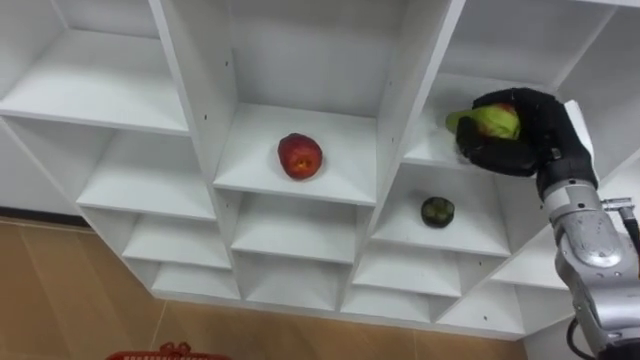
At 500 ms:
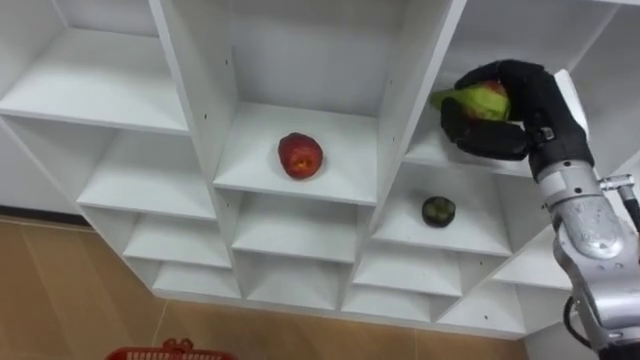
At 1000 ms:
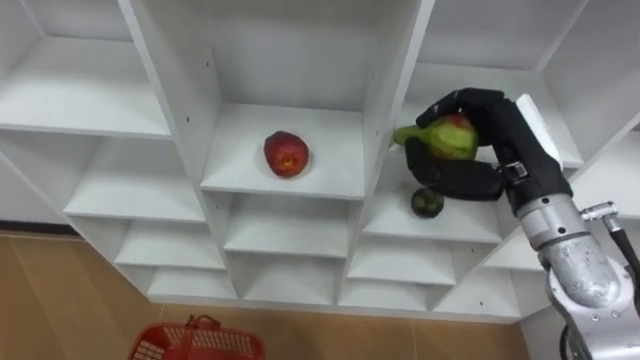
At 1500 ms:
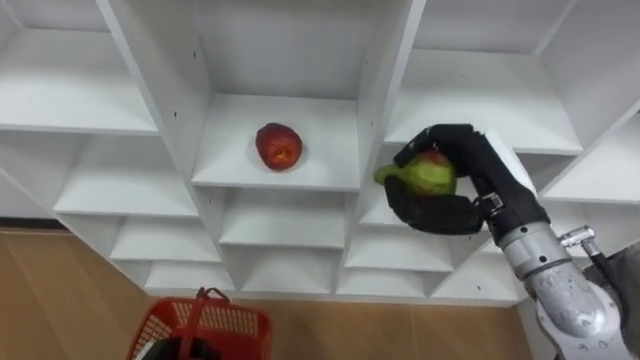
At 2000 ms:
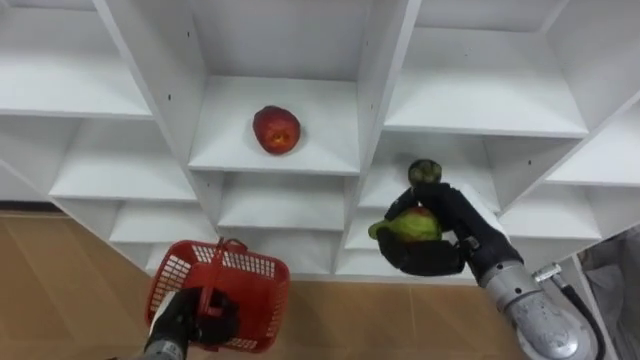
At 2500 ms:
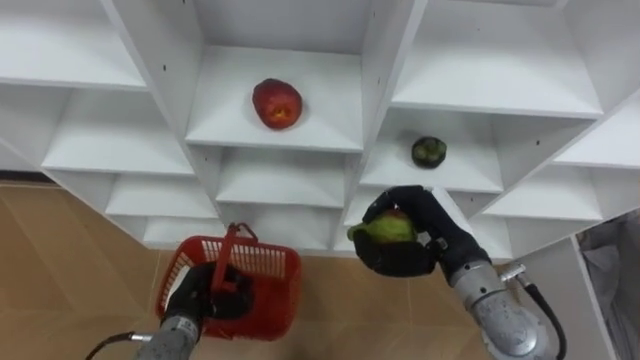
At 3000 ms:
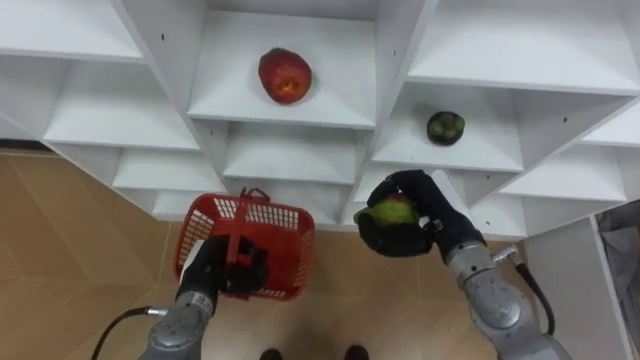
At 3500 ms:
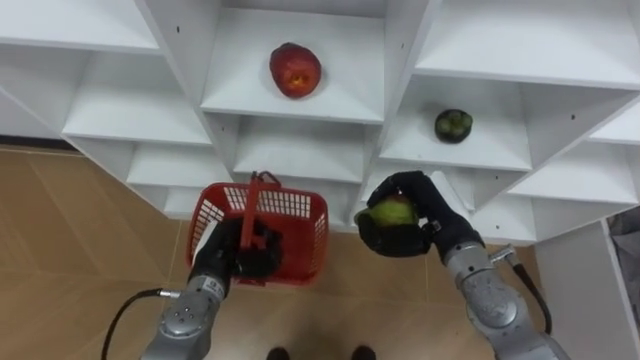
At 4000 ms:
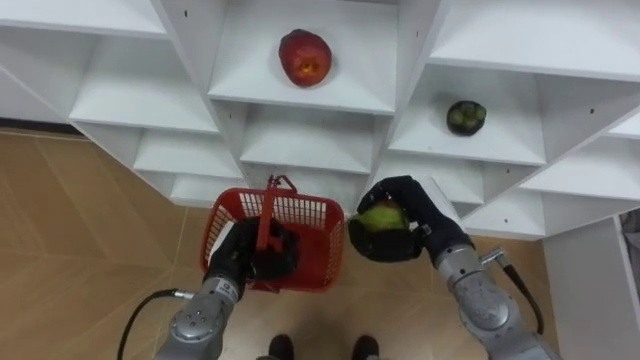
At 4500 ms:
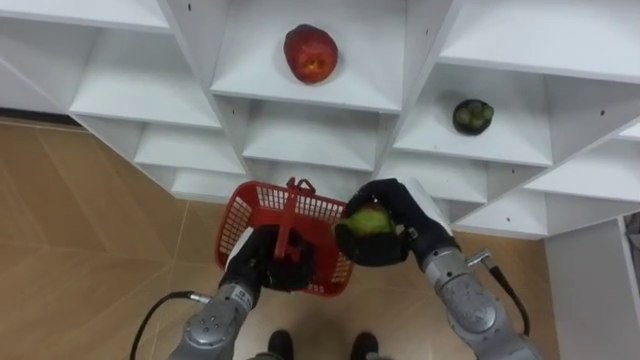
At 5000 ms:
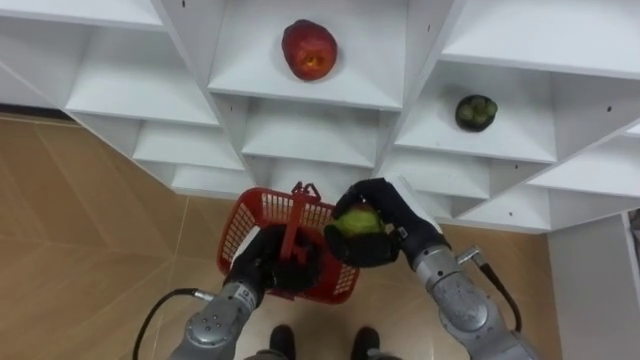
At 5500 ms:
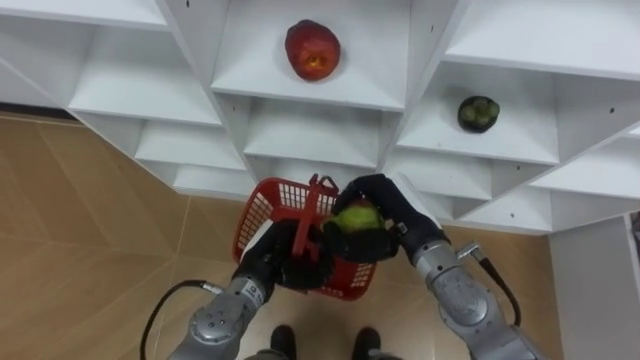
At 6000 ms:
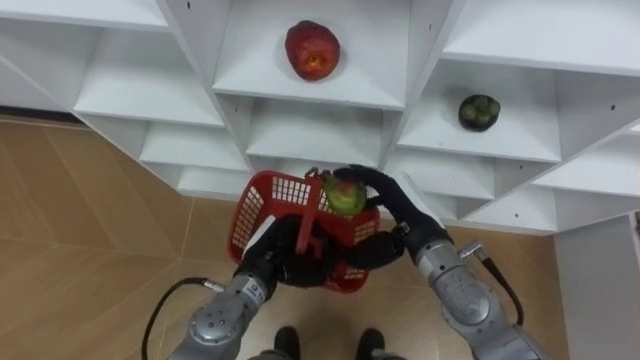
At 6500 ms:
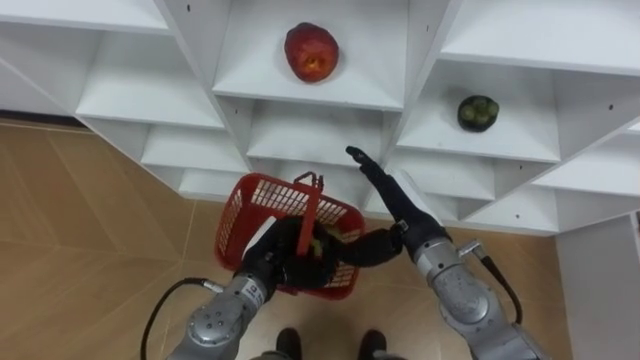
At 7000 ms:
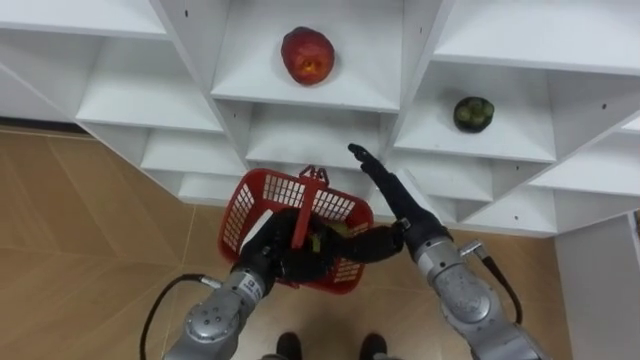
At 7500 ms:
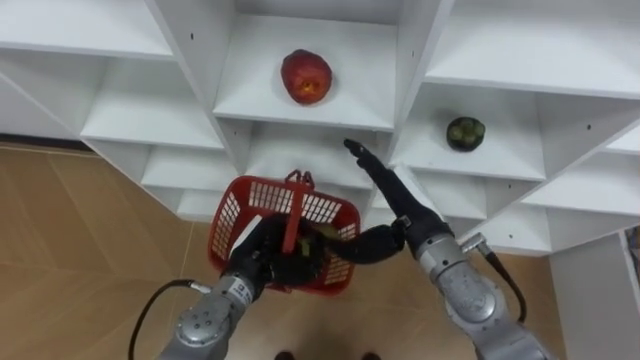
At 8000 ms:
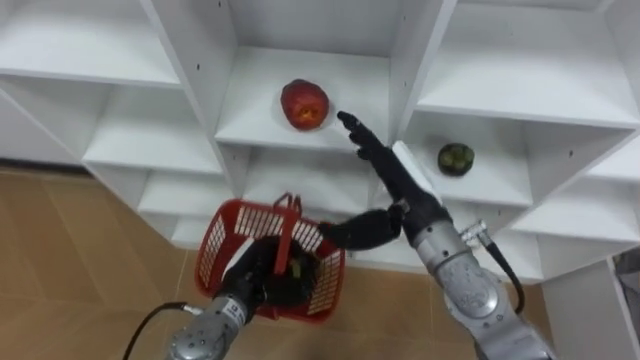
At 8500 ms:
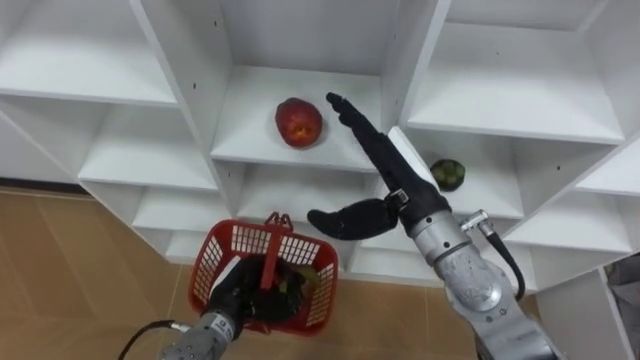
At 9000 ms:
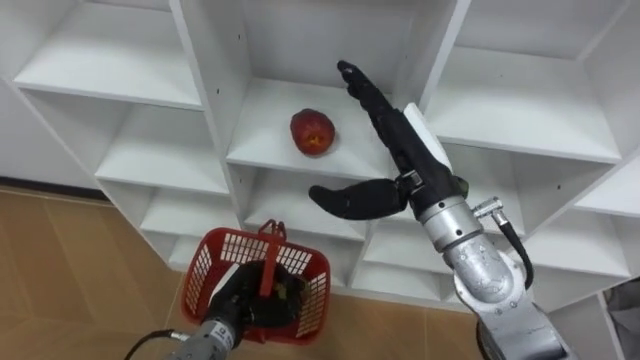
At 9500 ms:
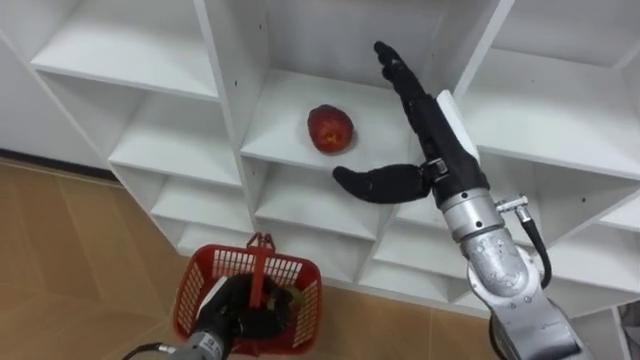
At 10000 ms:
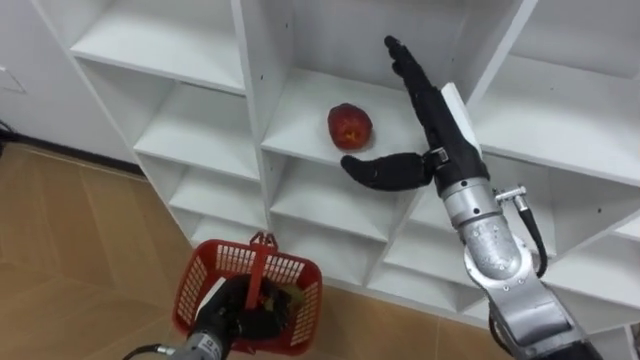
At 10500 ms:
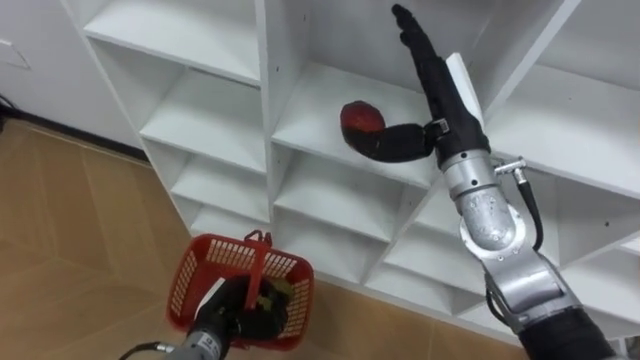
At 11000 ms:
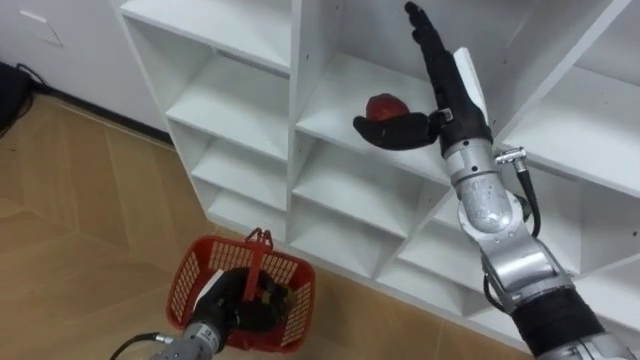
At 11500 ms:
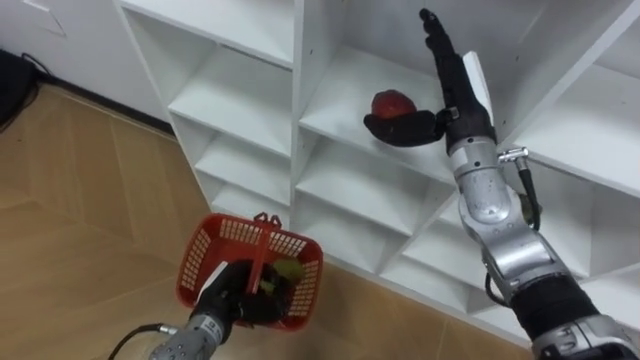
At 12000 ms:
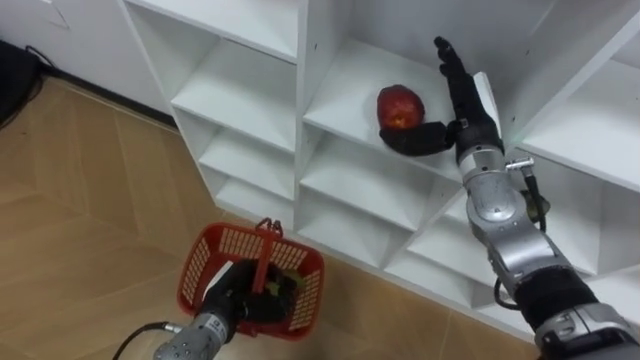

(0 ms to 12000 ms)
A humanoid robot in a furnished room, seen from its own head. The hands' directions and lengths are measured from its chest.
Task of the whole recording: Hold the basket and collect the fruits from 3 different cells of the closet into it.
0 ms - 2000 ms: The right hand goes roughly 15 cm to the left, backward and downward.
2000 ms - 4000 ms: The left hand shifts about 15 cm to the right, forward and upward. Meanwhile the right hand shifts by about 5 cm.
4000 ms - 6000 ms: The right hand opens. The left hand heads to the right, covering roughly 5 cm.
8000 ms - 10000 ms: The left hand ends up roughly 10 cm from where it was. Meanwhile the right hand moves upward, approximately 5 cm.
10000 ms - 12000 ms: The right hand is displaced forward by about 5 cm.

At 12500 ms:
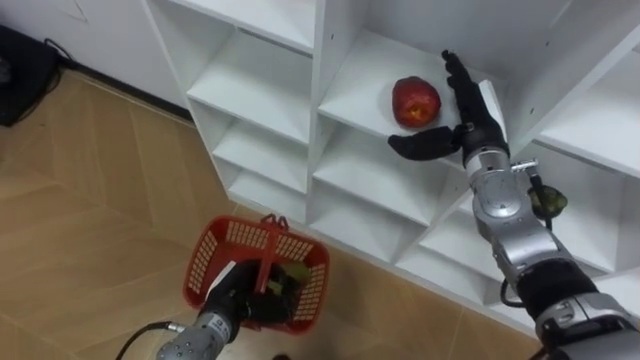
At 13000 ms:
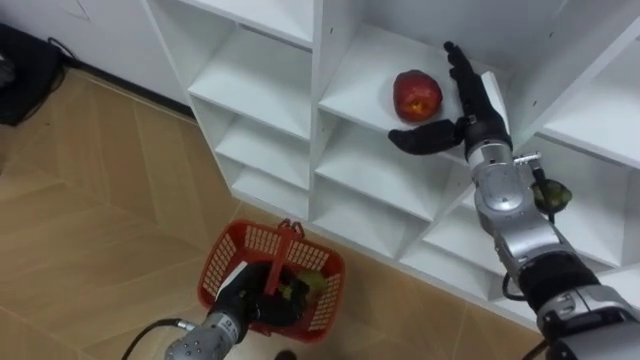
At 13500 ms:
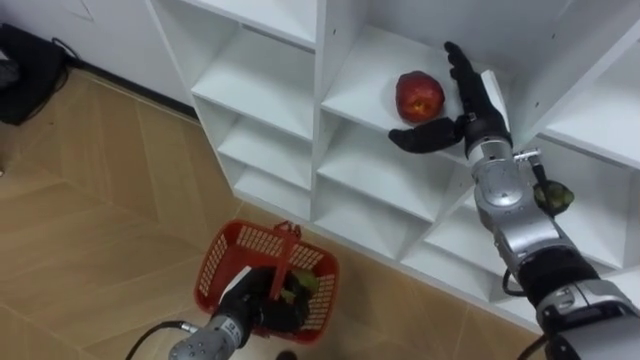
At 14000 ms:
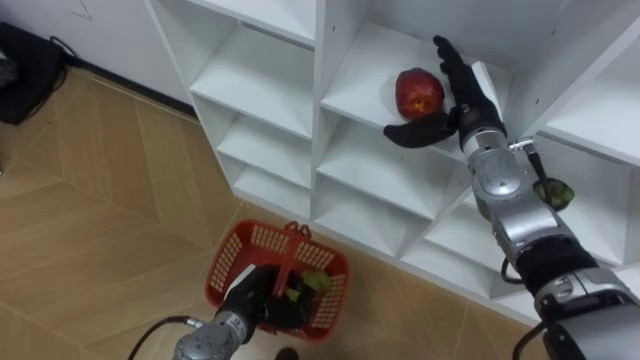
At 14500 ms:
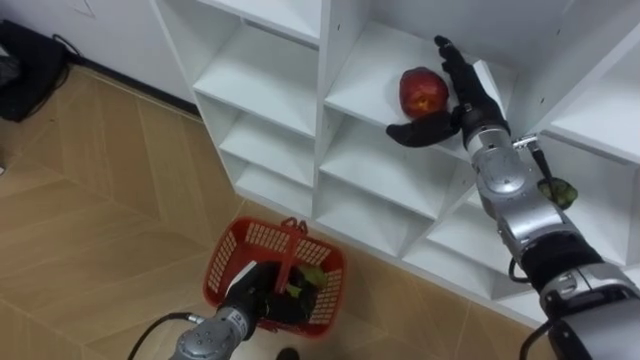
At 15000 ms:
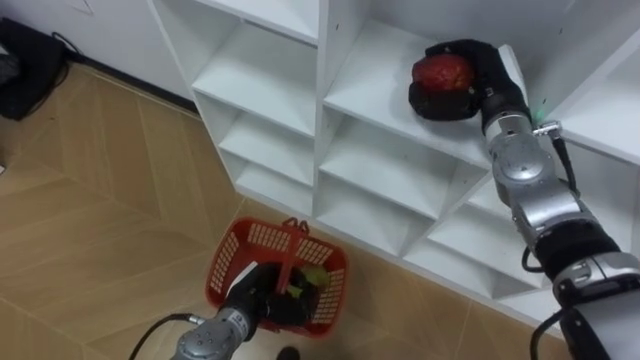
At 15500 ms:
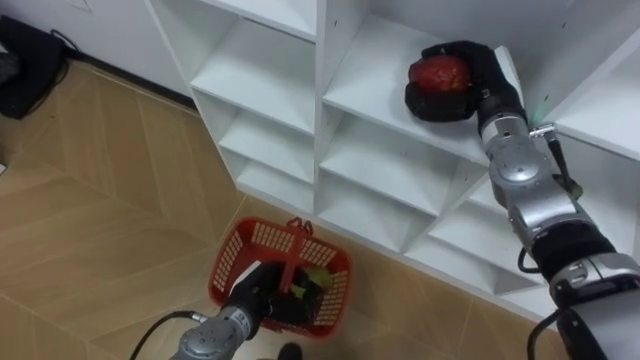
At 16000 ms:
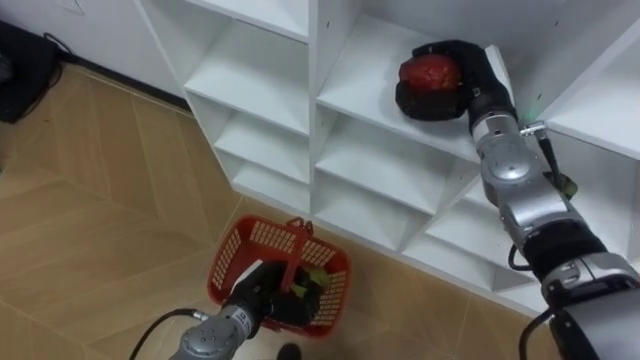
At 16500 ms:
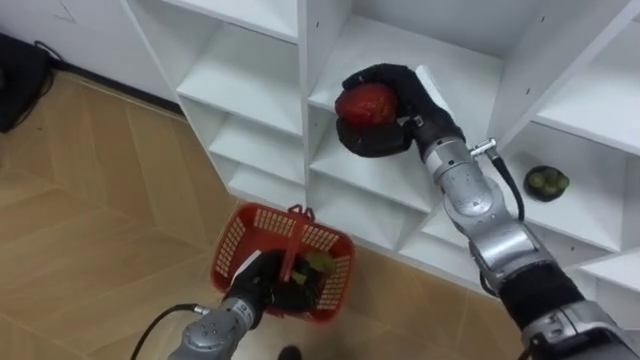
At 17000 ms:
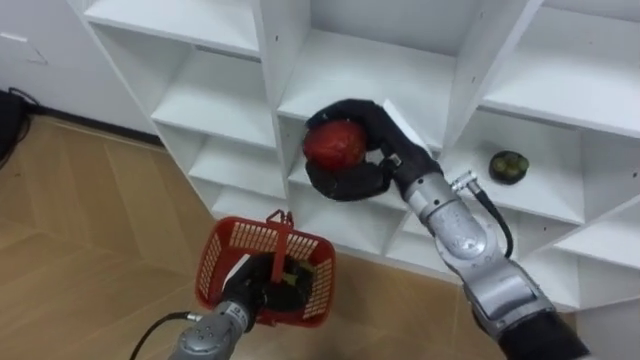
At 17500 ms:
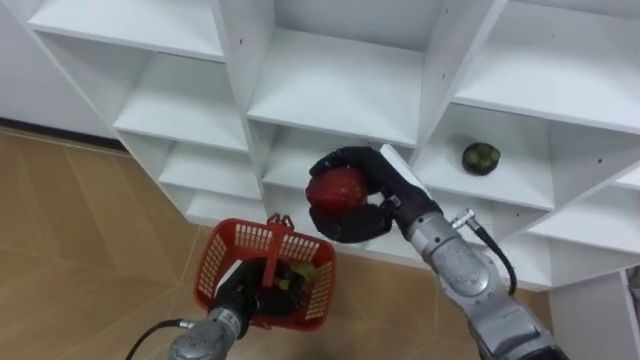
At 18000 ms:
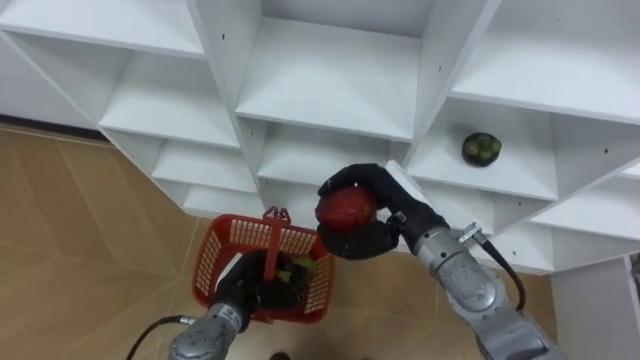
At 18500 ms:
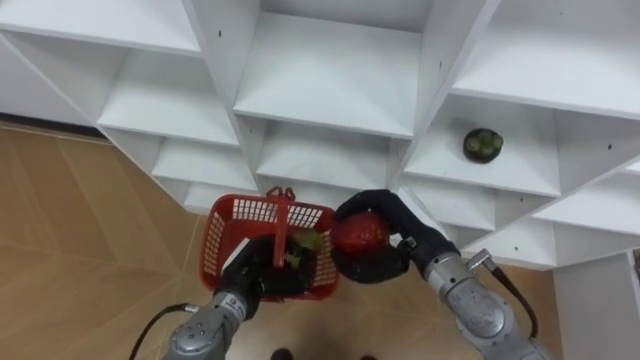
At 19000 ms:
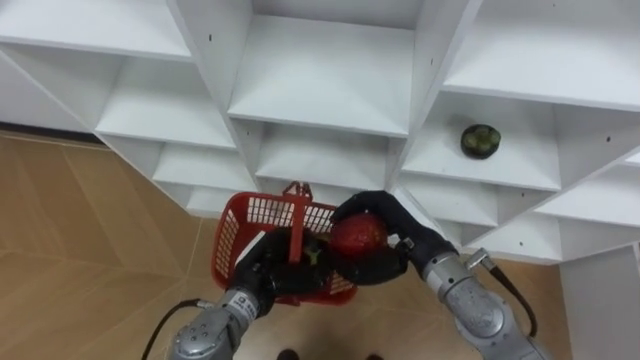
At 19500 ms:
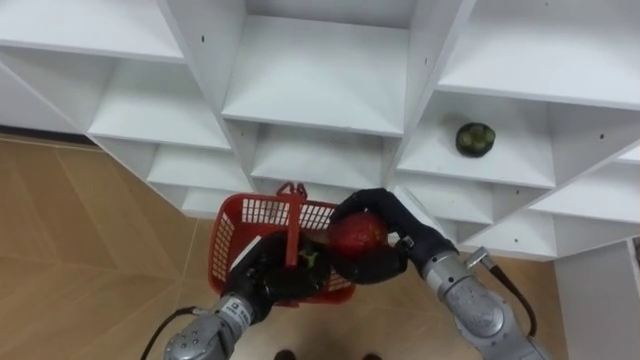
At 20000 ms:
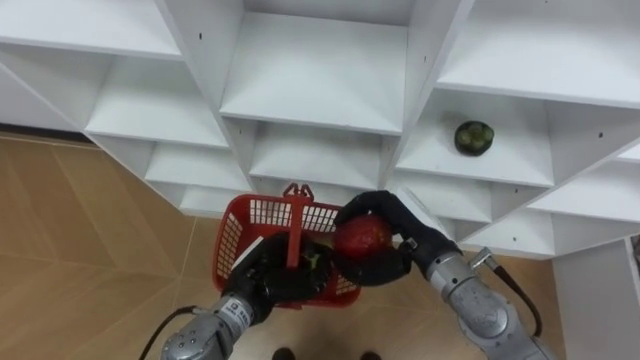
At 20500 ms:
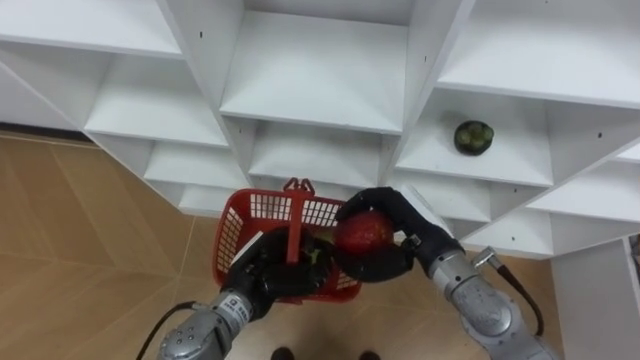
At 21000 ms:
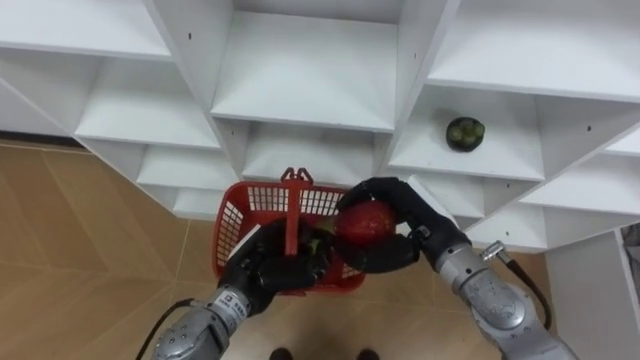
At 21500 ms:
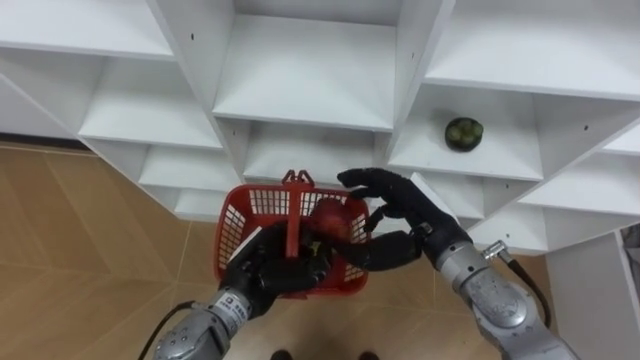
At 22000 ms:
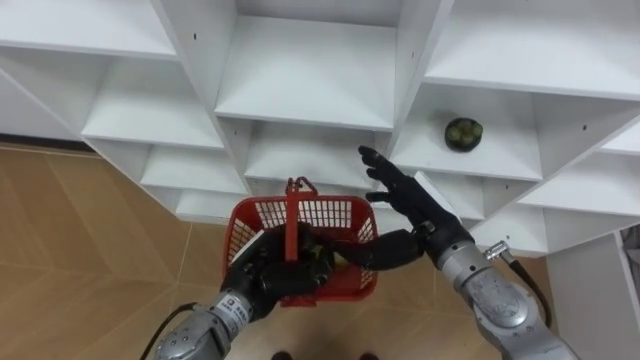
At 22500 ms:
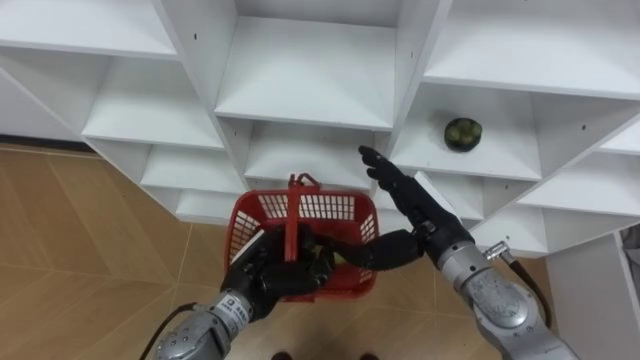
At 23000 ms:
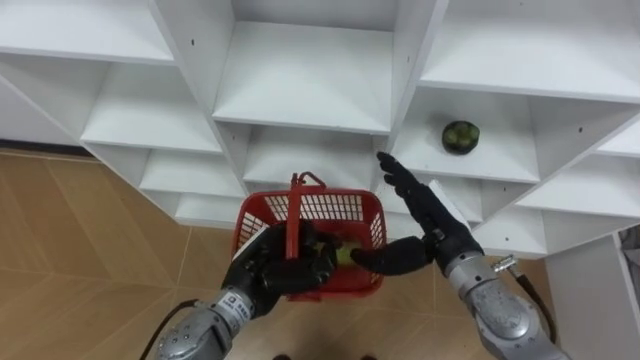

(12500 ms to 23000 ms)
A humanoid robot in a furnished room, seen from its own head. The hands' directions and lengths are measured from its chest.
Task of the whole recording: Hold the basket and collect the fruits from 3 different cells of the closet into it.
14500 ms - 16500 ms: The right hand shifts some 5 cm to the left, and closes up.
16500 ms - 19000 ms: The right hand moves backward and downward, about 15 cm.
21000 ms - 23000 ms: The right hand opens.
